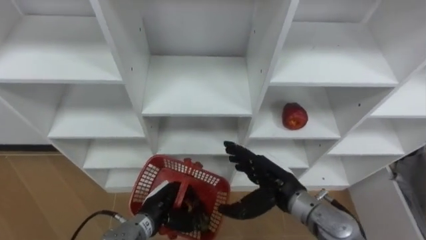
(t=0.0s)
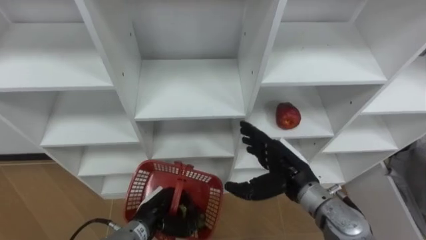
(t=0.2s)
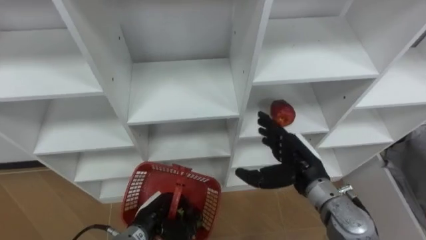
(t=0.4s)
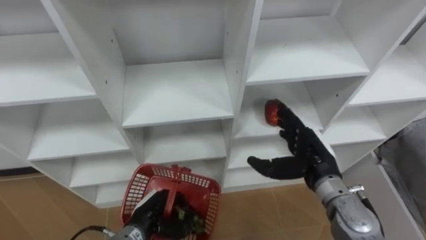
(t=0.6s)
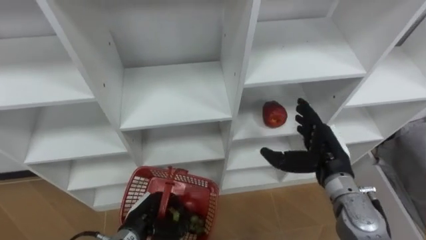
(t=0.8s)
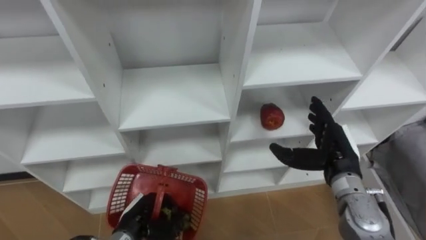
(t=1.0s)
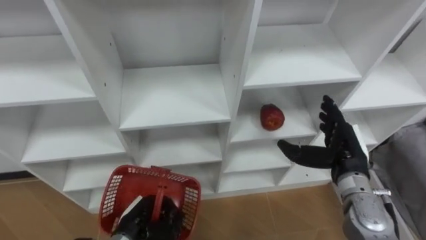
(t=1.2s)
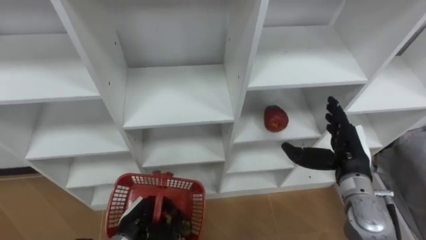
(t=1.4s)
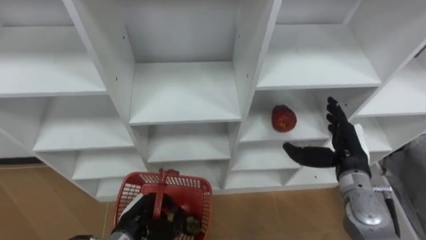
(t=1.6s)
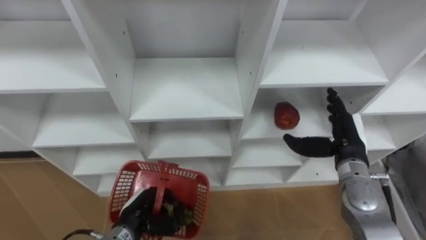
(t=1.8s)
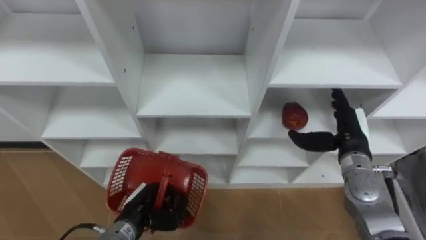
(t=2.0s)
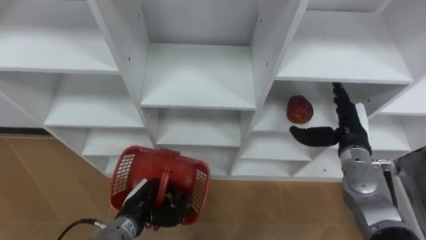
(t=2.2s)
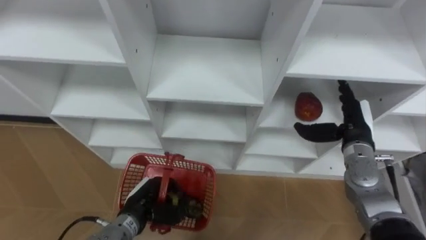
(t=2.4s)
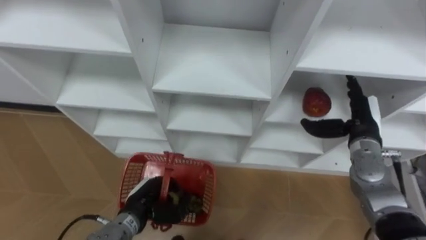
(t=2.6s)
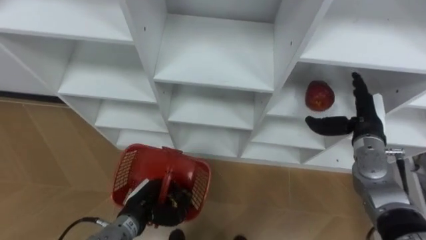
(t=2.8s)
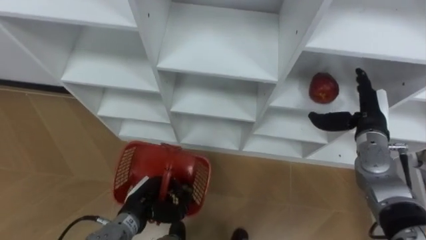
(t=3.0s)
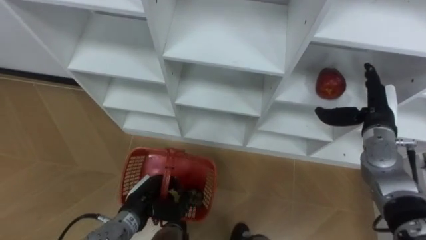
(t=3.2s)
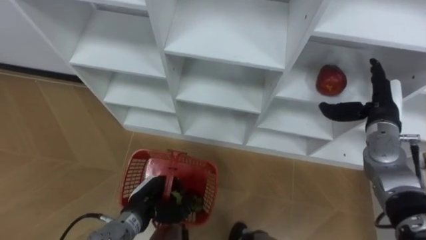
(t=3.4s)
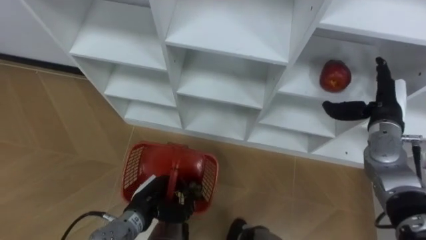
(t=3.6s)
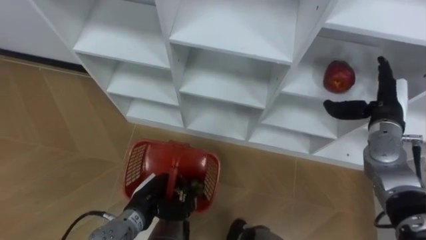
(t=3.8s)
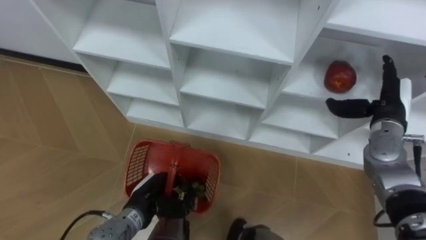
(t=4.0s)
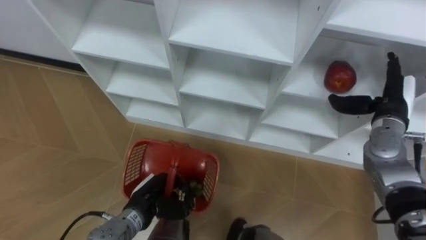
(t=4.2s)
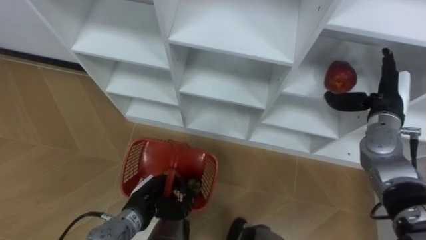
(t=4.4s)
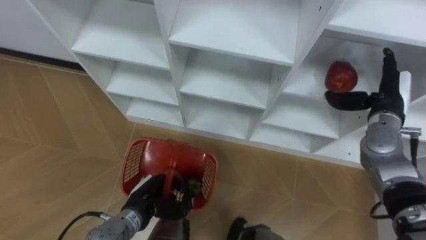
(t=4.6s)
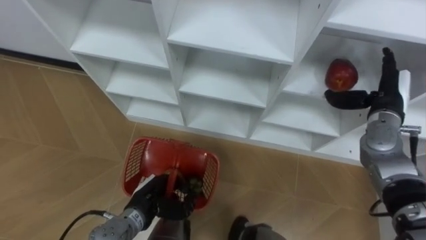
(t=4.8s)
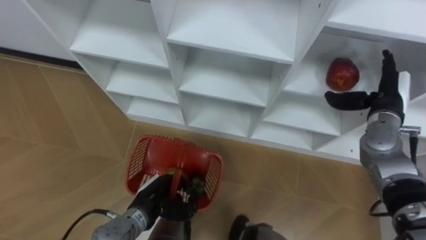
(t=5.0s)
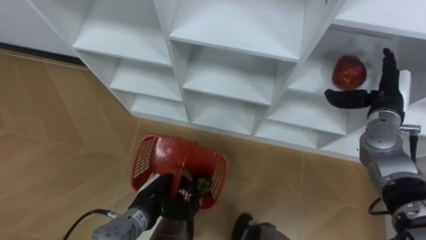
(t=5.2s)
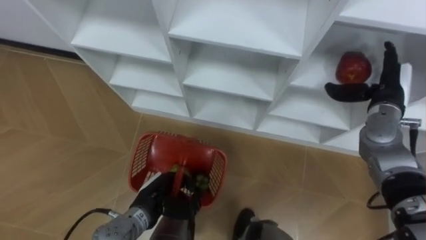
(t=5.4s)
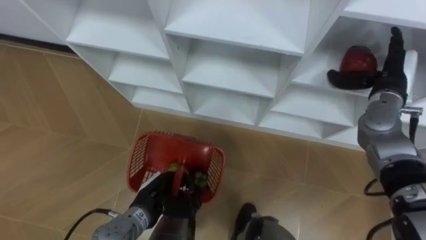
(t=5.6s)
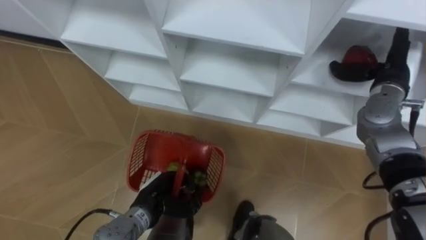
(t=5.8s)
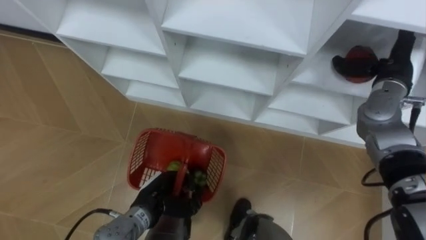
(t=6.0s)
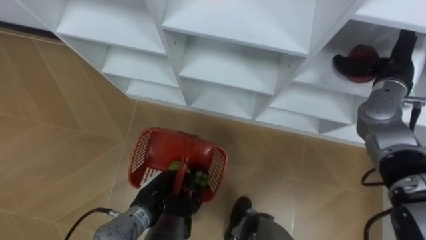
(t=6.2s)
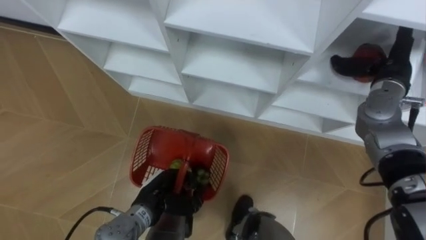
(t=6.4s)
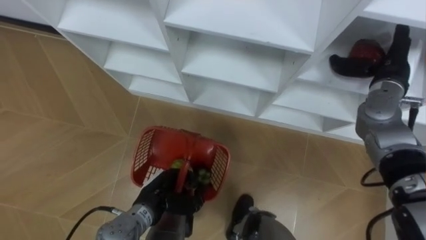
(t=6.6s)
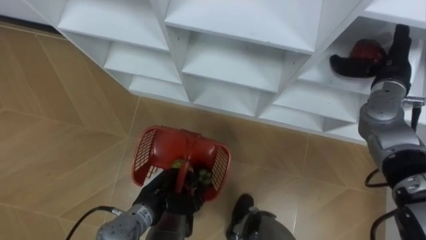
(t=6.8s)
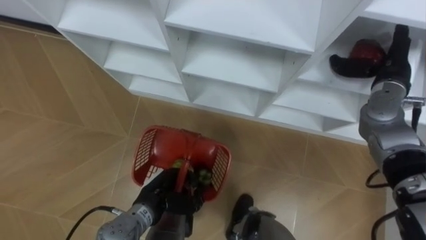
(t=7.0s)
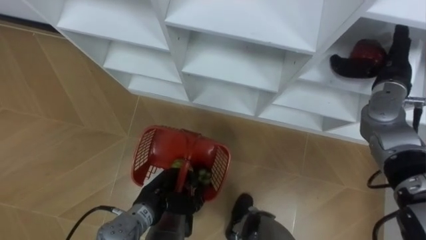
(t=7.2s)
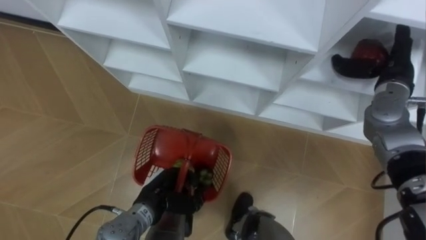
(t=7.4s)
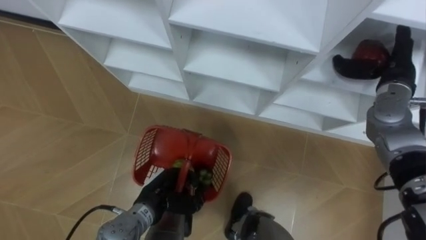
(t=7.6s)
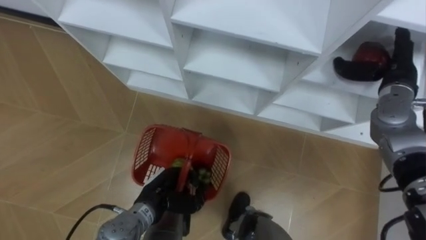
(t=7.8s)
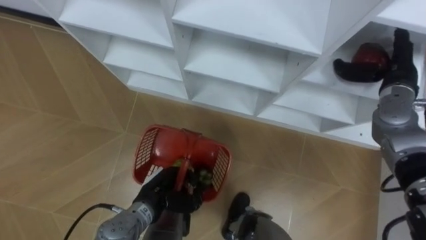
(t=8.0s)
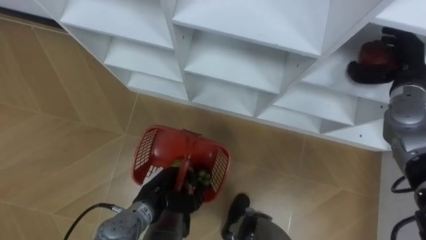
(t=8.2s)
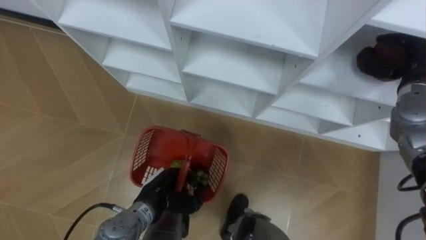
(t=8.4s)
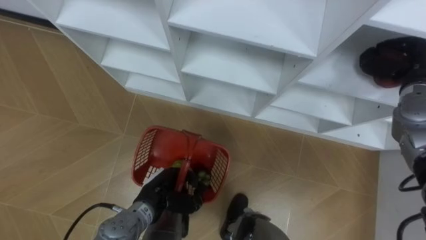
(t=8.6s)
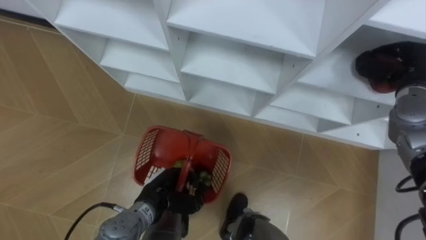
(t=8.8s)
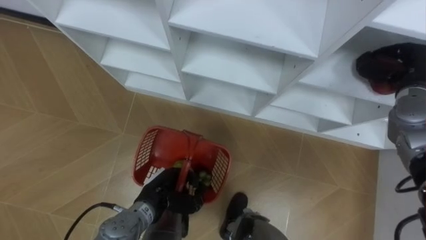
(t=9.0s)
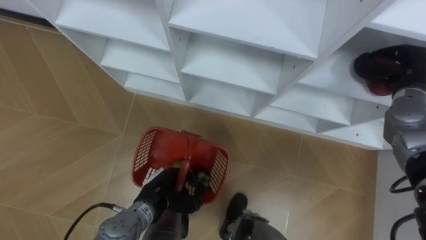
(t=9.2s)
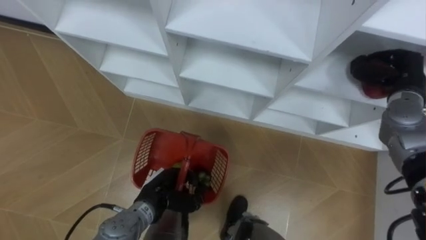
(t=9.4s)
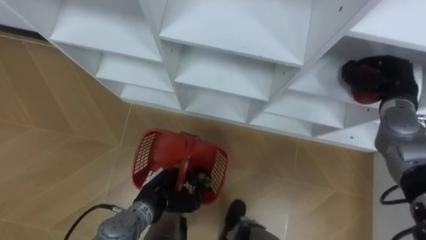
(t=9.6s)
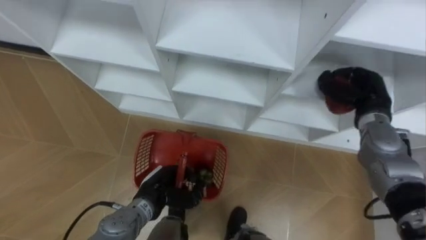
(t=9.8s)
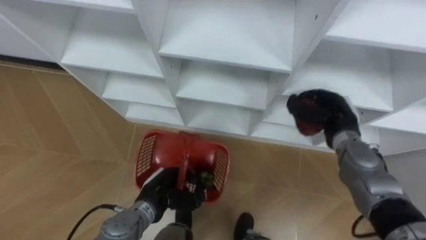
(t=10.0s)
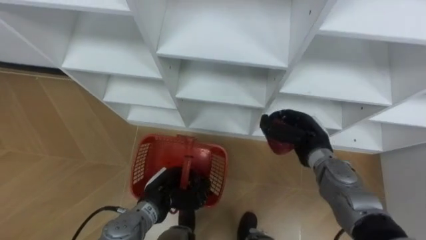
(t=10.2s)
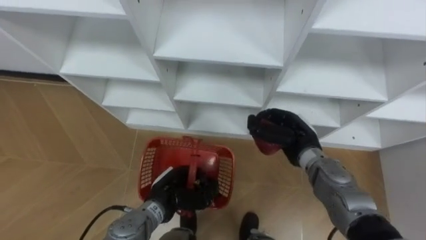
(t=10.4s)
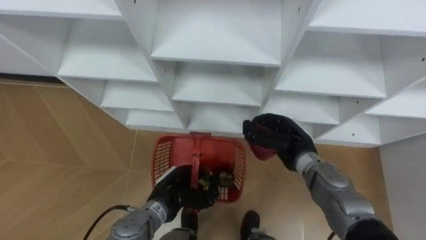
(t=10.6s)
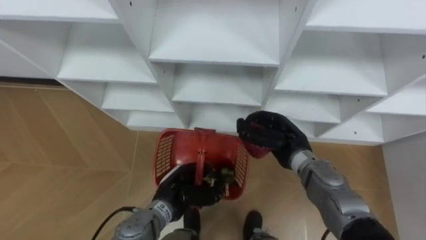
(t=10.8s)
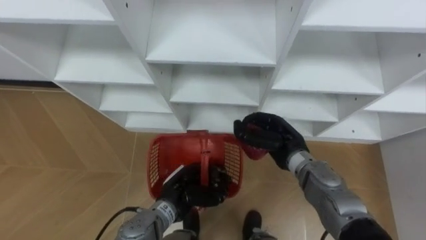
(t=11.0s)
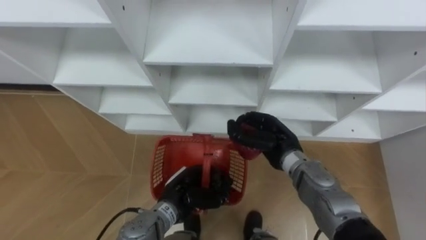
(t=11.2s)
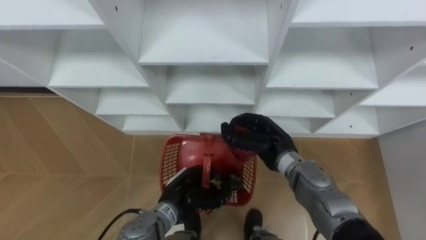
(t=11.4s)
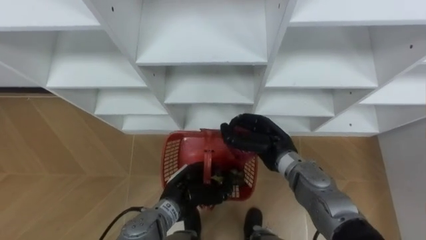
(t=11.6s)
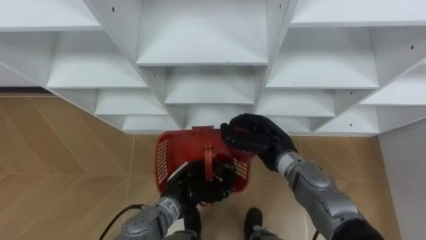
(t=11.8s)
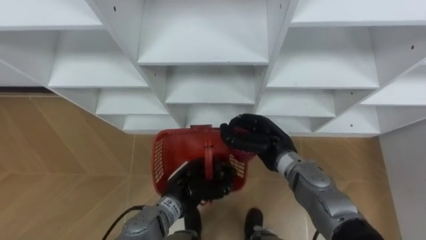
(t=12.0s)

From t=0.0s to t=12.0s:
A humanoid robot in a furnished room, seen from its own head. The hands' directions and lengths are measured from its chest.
Task of the whole recording: Hold the basket and collect the fruits from 3 different cells of the closet into it.
From t=0.0s to t=1.6s: The left hand ends up roughly 5 cm from where it was; the right hand moves to the right, about 15 cm.
From t=1.6s to t=3.0s: The right hand is displaced forward by approximately 5 cm.
From t=4.4s to t=6.0s: The right hand heads upward, covering some 5 cm.
From t=7.6s to t=9.0s: The right hand closes.
From t=9.0s to t=10.4s: The right hand moves to the left and downward, some 20 cm.
From t=10.4s to t=12.0s: The right hand goes roughly 5 cm to the left.

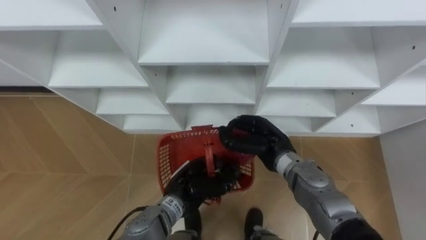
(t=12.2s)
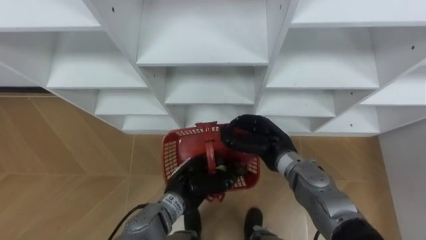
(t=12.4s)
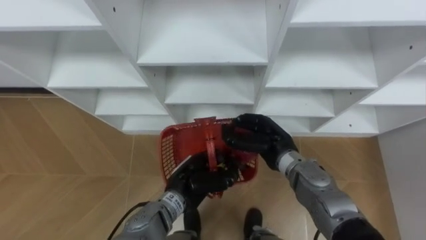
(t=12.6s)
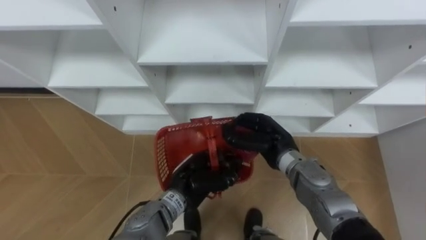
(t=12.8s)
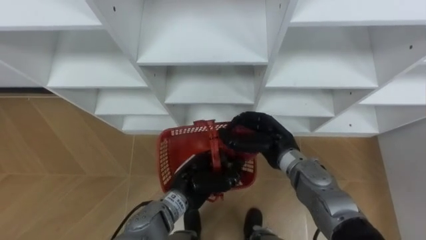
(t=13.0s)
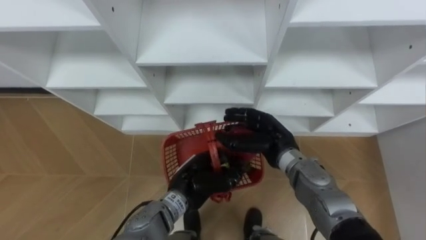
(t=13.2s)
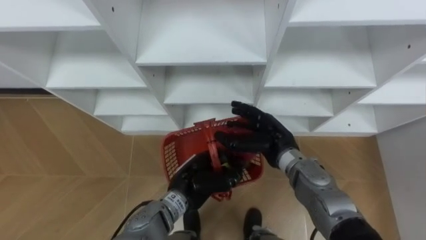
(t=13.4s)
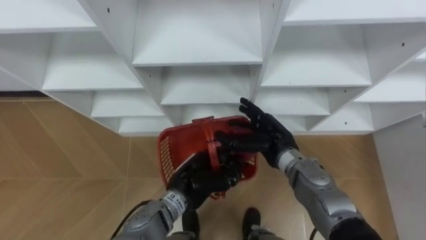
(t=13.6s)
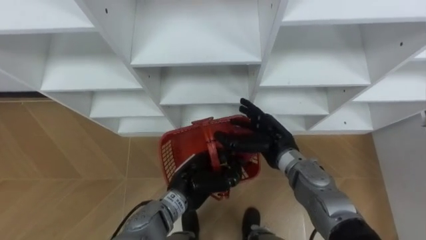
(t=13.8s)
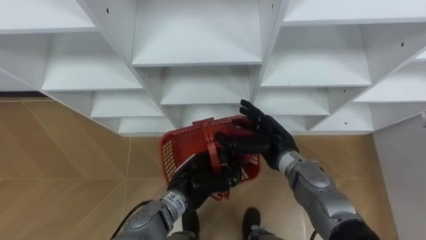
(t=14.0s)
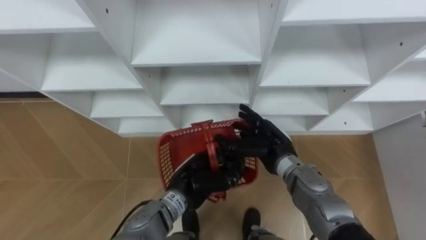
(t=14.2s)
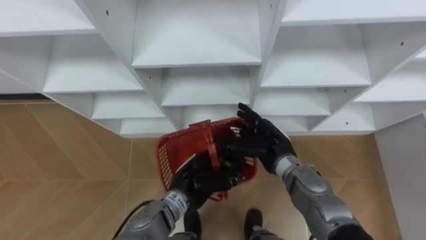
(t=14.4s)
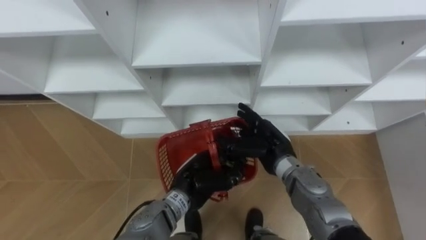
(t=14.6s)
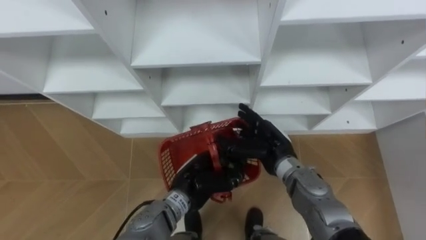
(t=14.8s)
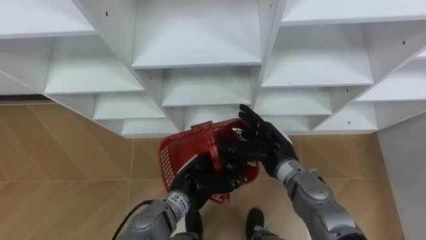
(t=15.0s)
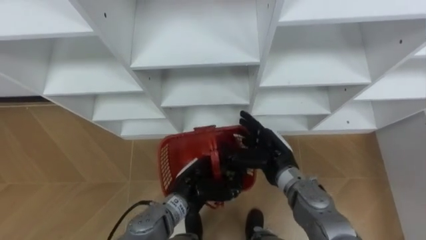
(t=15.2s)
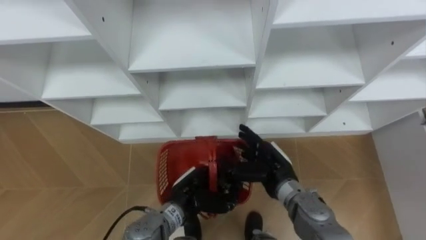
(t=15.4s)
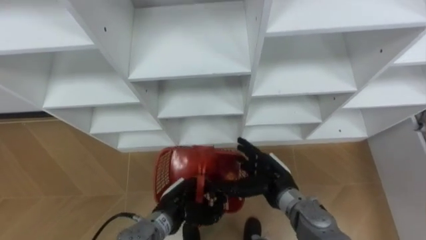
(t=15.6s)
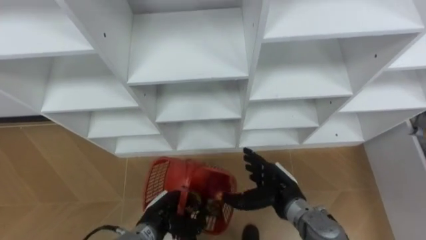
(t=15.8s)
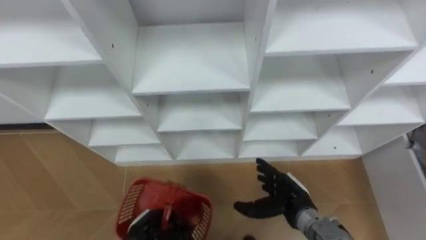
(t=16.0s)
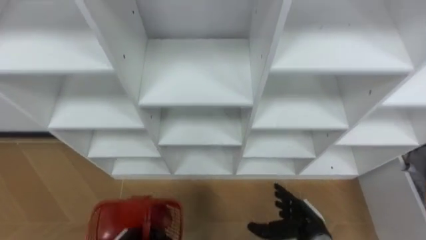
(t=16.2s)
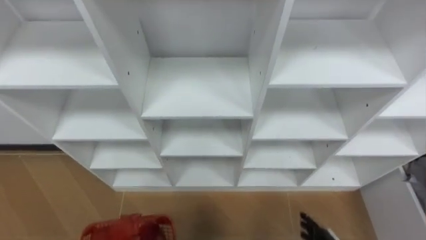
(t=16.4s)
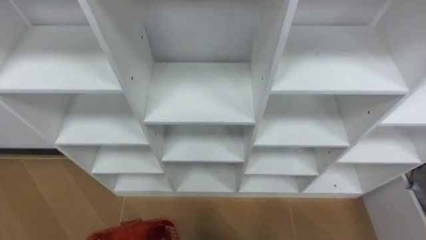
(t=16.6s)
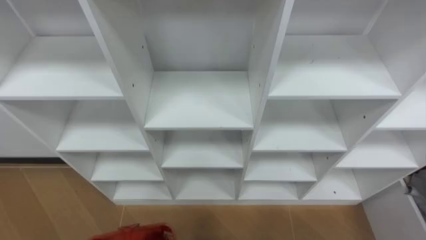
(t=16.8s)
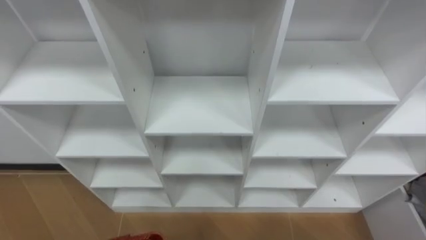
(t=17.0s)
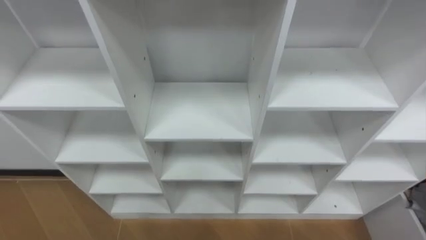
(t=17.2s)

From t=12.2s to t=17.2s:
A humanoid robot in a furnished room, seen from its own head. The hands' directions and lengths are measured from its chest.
Task of the whole recording: Hold the basket and collect the fruits from 3 different cells of the closet into it.
From t=12.2s to t=13.8s: The right hand opens.
From t=13.8s to t=15.6s: The left hand ends up roughly 5 cm from where it was, while the right hand shifts approximately 5 cm backward.
